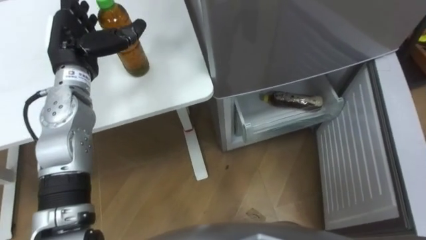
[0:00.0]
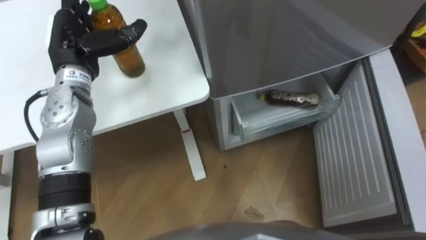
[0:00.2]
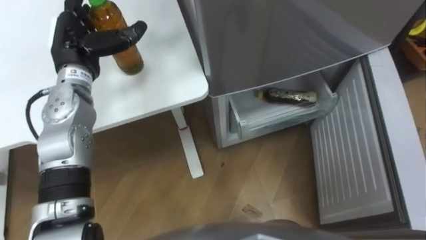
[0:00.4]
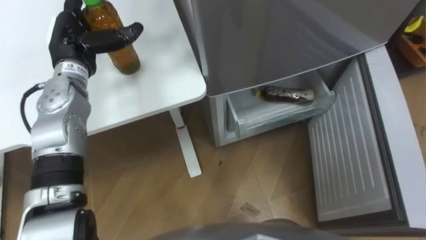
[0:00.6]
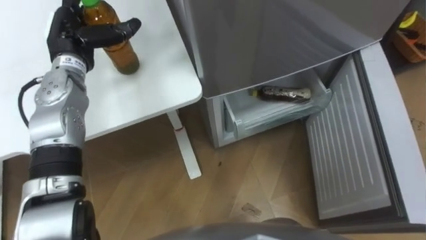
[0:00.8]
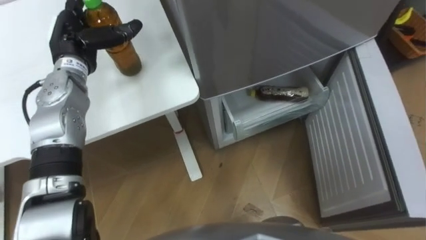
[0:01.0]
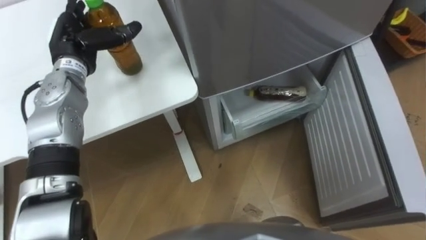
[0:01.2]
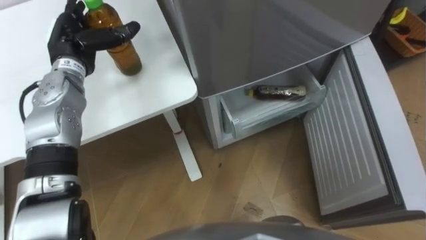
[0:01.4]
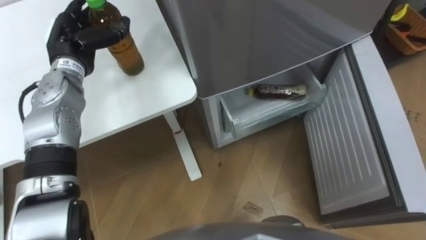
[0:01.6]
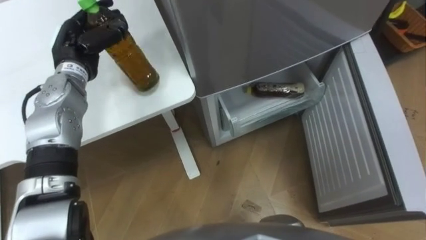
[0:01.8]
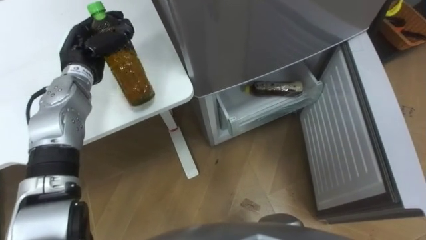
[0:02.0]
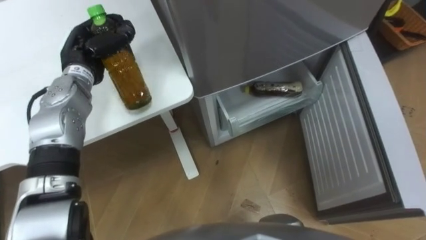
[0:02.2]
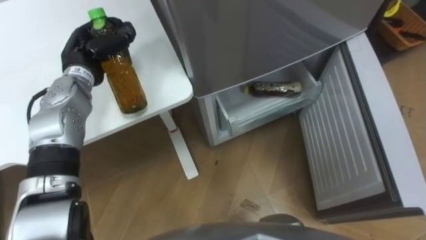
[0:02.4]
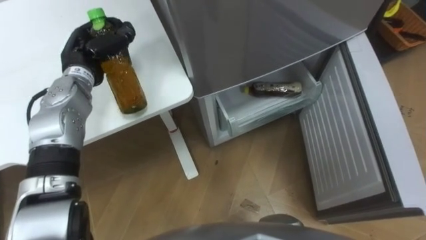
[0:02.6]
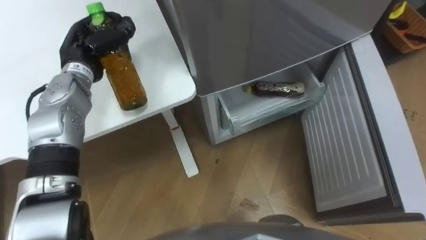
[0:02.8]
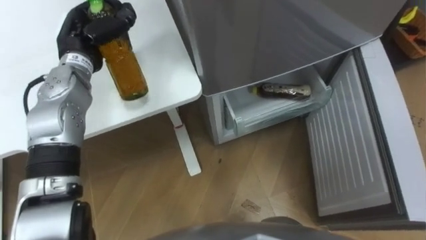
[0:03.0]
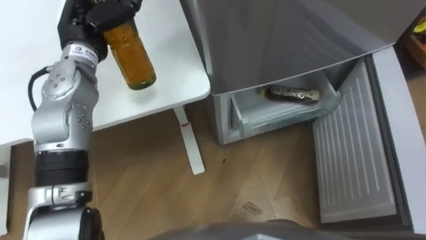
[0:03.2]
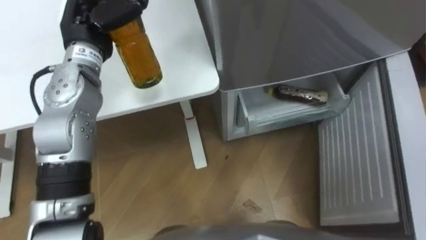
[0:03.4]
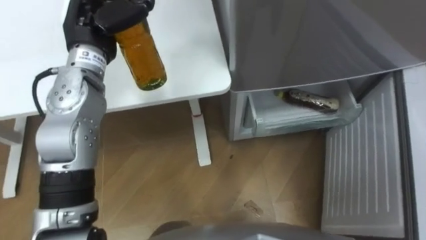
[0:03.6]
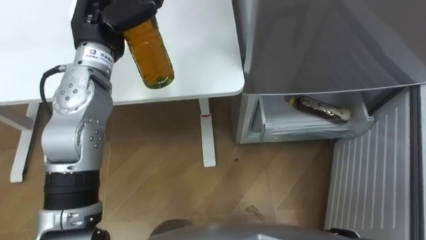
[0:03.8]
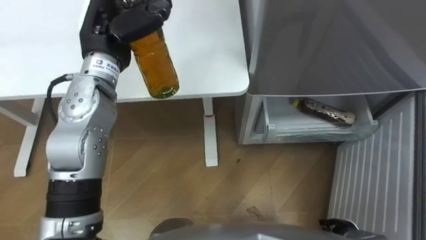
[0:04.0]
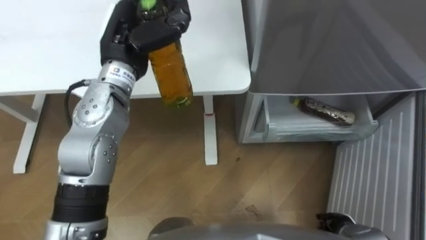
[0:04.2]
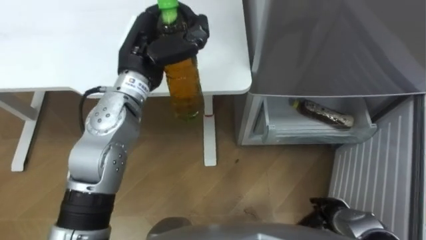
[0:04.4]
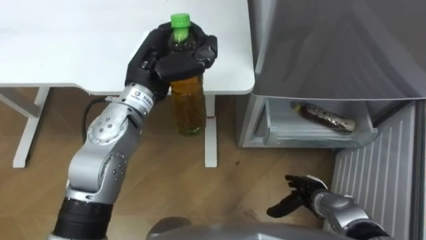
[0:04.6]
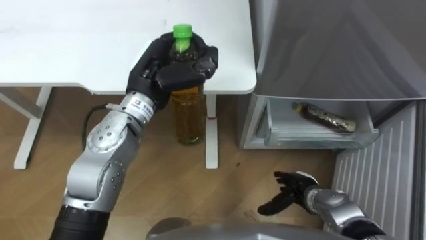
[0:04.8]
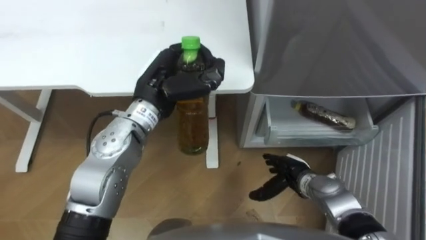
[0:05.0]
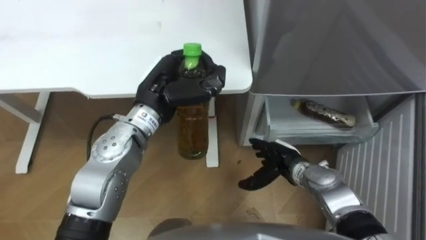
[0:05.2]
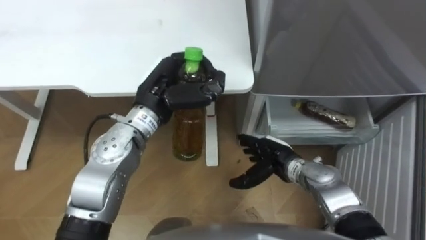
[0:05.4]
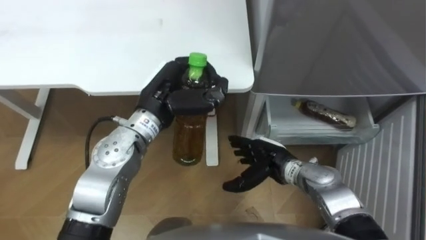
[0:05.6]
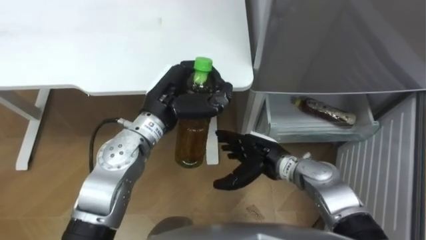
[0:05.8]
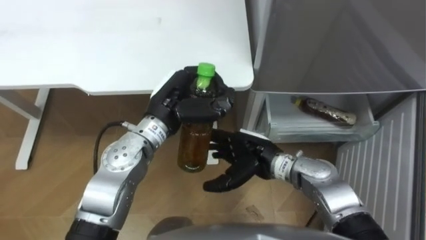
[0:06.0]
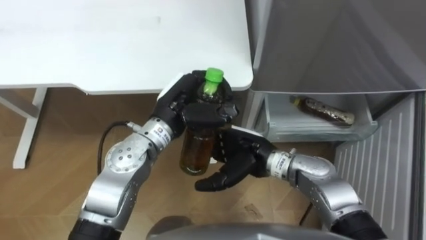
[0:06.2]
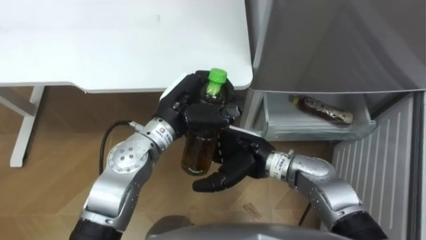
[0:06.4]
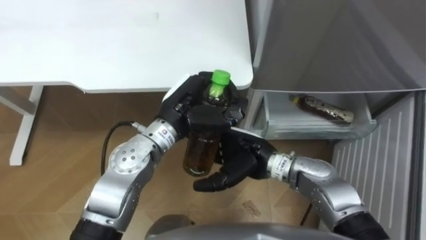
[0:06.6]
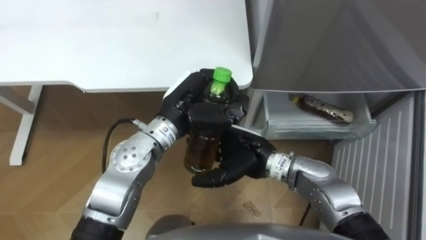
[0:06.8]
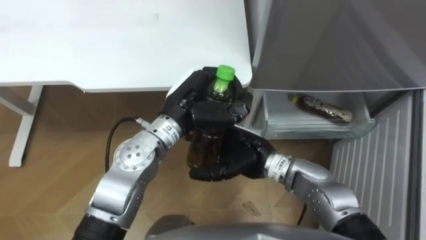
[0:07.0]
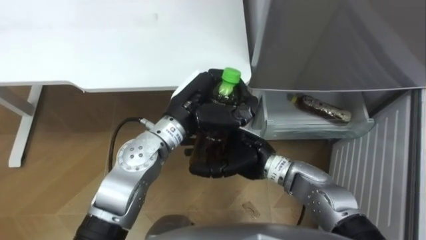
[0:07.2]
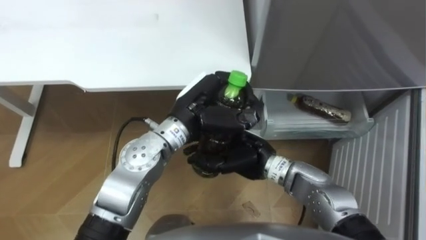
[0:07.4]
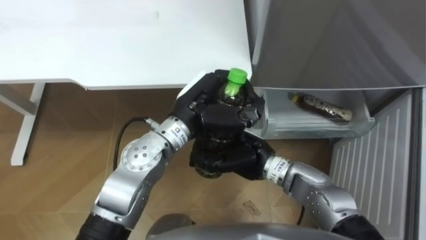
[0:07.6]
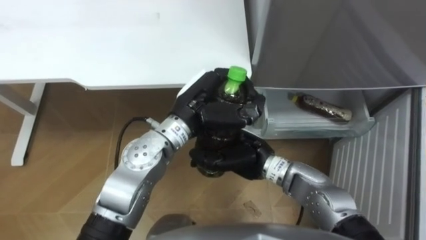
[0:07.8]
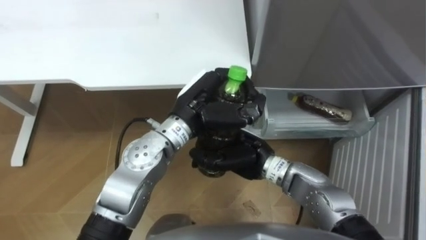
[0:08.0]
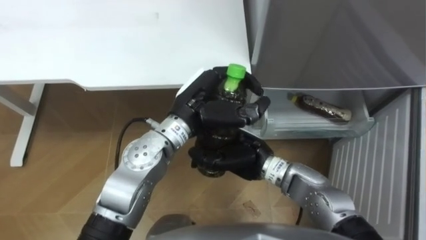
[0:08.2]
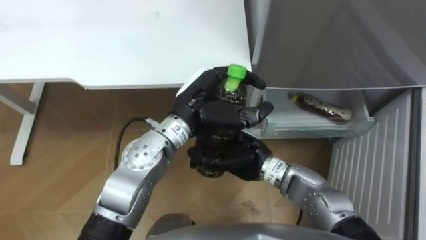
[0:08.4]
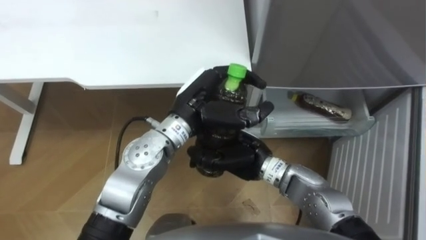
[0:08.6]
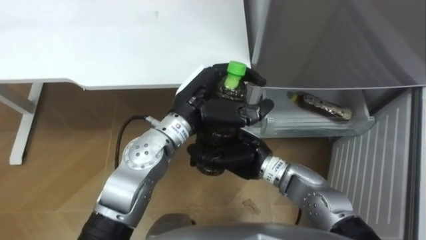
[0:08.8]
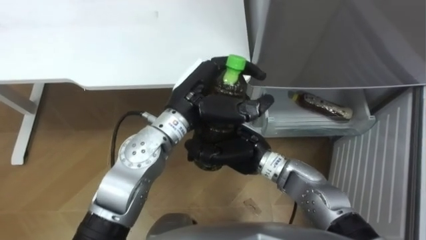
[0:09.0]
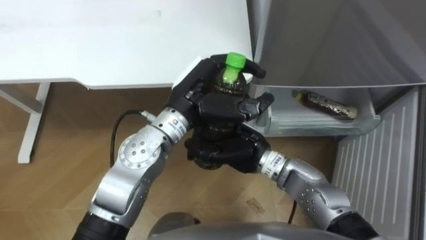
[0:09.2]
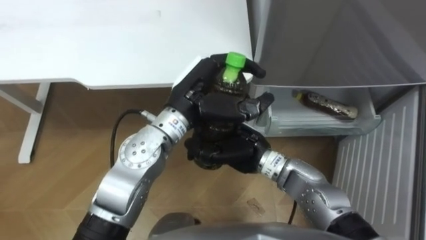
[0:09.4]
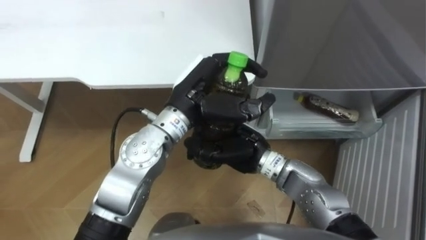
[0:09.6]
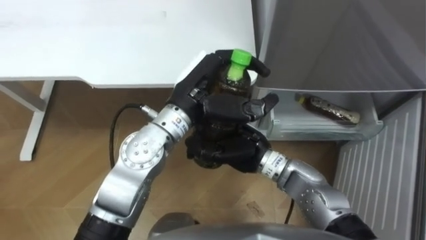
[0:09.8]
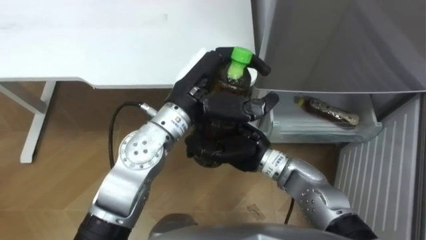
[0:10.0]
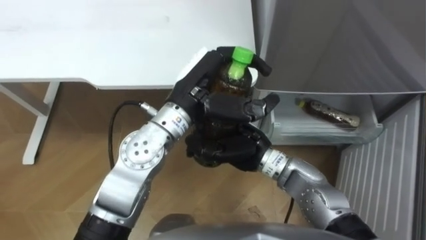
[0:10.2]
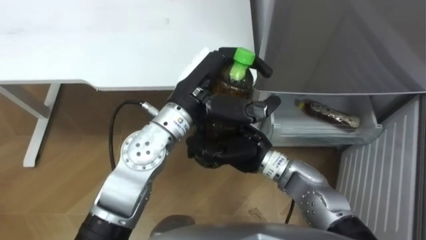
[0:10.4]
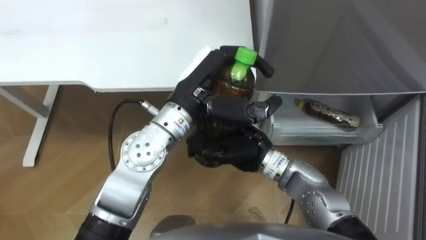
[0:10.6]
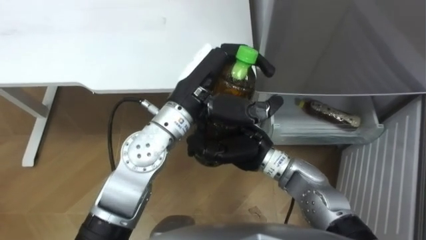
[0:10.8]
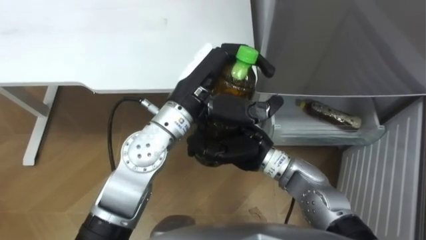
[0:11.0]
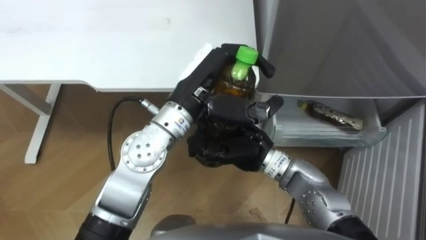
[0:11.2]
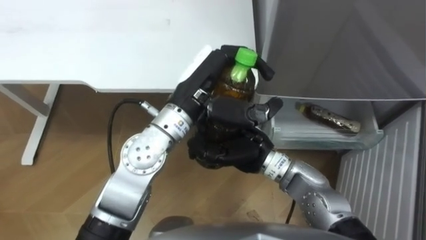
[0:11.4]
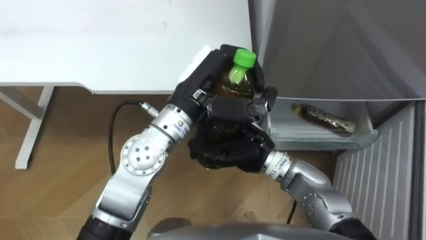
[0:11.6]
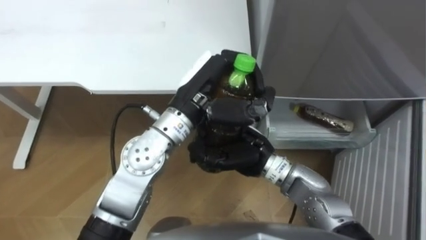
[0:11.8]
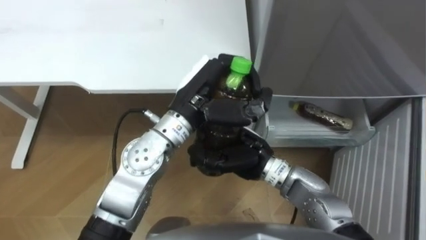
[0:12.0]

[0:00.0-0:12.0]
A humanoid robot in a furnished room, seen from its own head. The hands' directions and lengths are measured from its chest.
Task of the whole recording: Place the drink on the table on the bottom shelf of the refrigerator, then close the drawer and the refrigerator door.
0:01.6 to 0:03.0: The left hand closes its fingers.
0:03.0 to 0:04.4: The left hand is displaced to the right by roughly 10 cm.
0:04.4 to 0:06.0: The left hand shifts approximately 10 cm downward and backward. The right hand moves to the left, upward and forward, approximately 25 cm.
0:06.0 to 0:07.6: The left hand moves some 5 cm. The right hand closes.
0:07.6 to 0:09.0: The hands stay close to where they were, moving slightly.

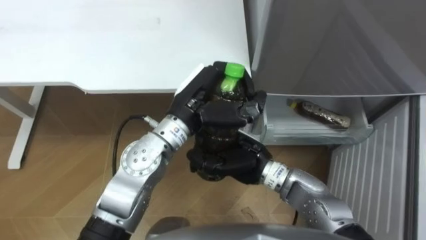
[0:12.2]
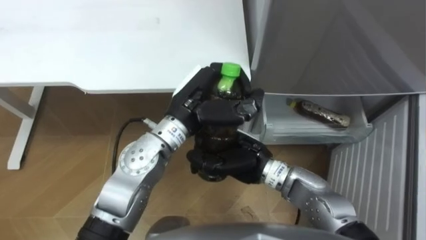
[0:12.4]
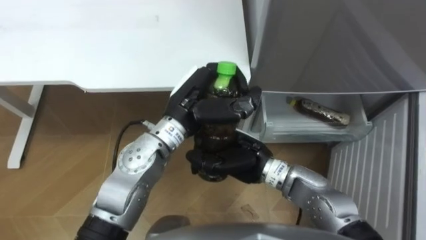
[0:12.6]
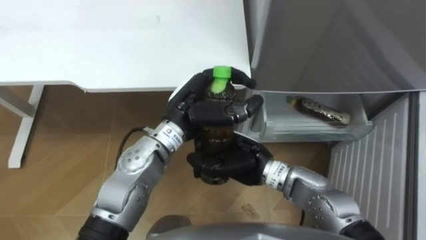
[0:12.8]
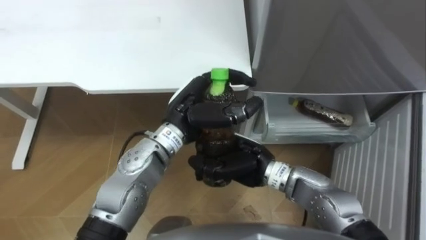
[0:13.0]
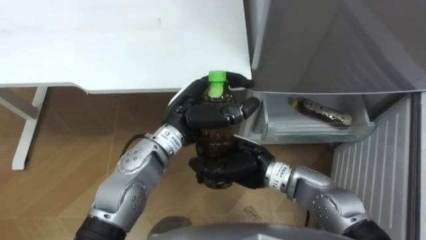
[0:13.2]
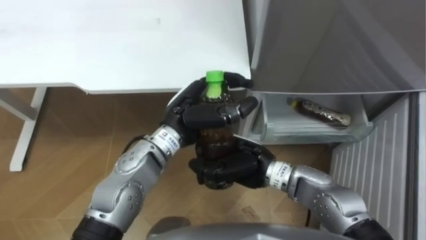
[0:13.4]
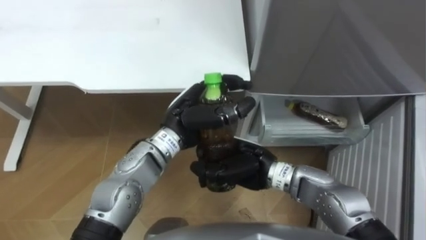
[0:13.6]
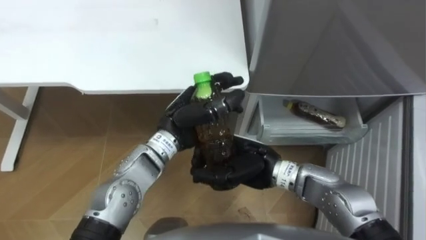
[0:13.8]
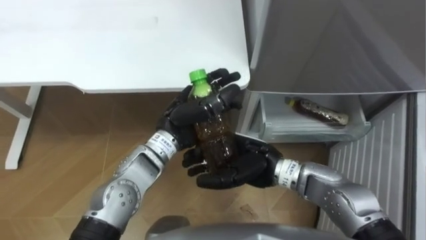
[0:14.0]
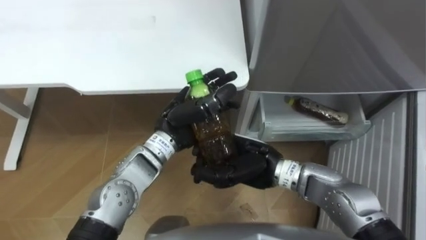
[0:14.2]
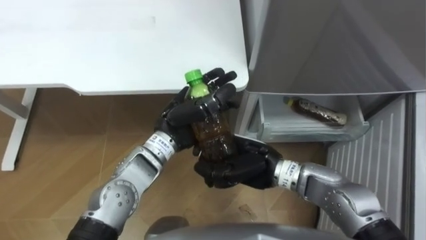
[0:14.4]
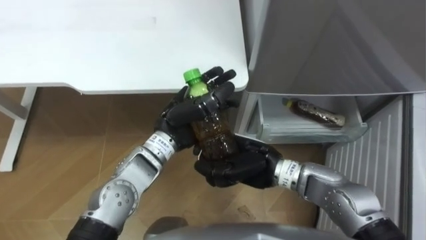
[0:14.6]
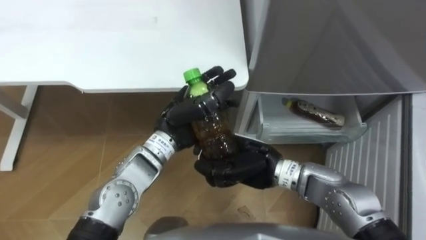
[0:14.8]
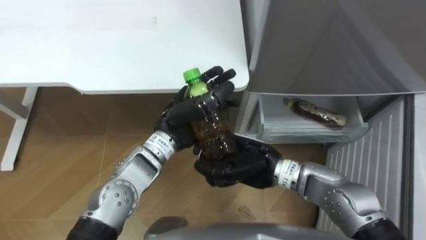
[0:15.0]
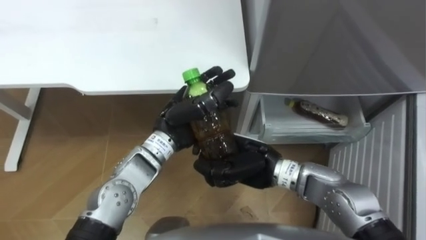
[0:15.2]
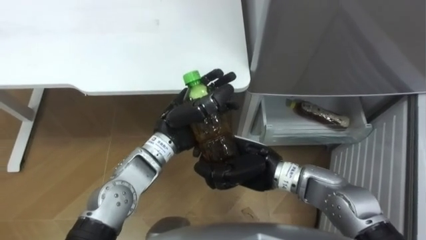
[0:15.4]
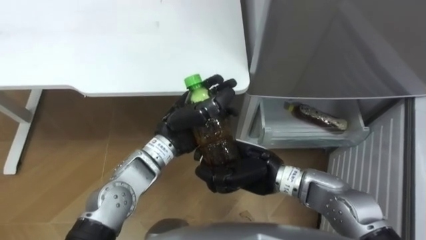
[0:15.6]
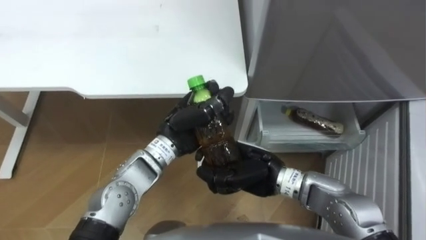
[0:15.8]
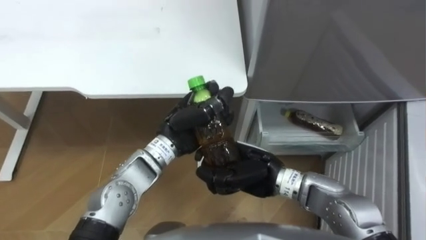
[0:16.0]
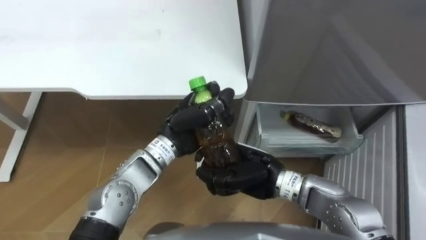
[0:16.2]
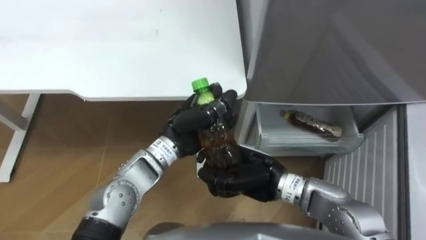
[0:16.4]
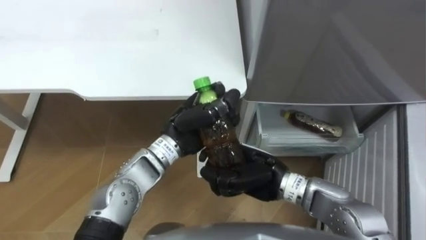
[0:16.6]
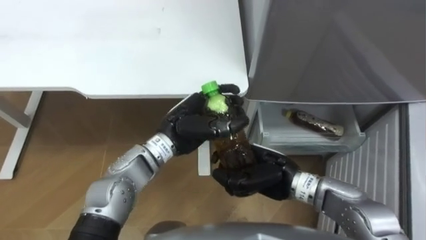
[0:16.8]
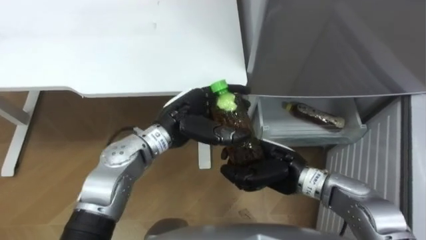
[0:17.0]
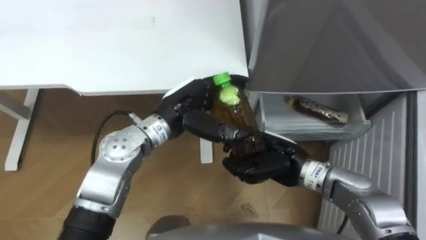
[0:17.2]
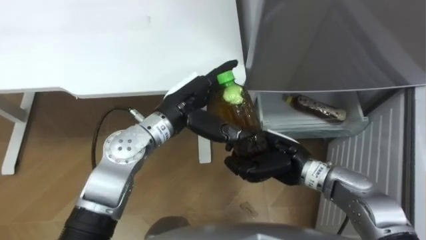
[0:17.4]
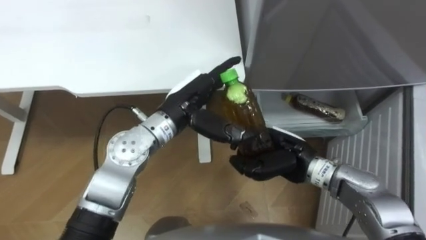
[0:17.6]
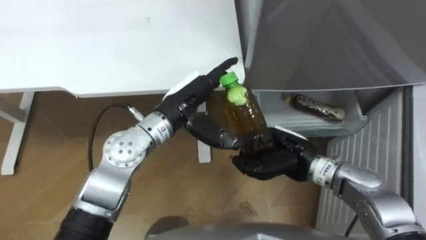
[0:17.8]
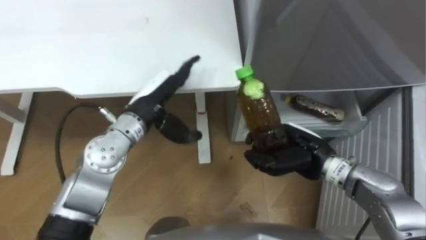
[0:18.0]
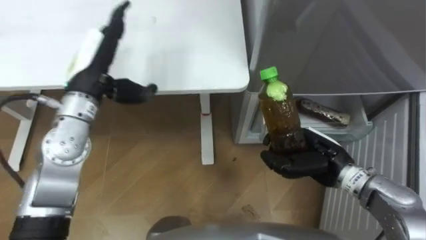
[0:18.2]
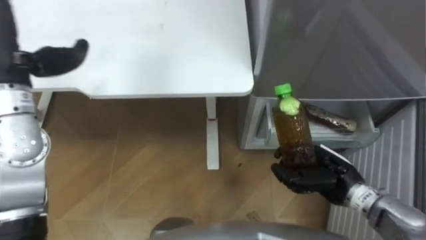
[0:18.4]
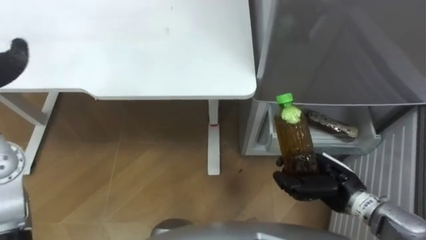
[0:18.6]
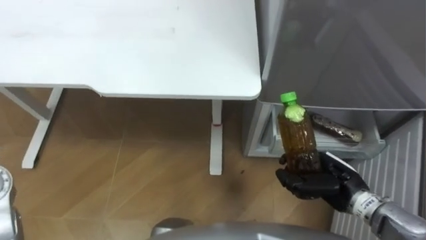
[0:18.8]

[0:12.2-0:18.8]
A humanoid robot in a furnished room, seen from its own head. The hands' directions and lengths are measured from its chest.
Task of the whole recording: Place the drink on the table on the bottom shelf of the refrigerator, then close the drawer and the refrigerator door.
0:12.2 to 0:13.8: The left hand moves downward, about 5 cm.
0:15.4 to 0:17.2: The right hand goes approximately 5 cm to the right. Meanwhile the left hand opens.
0:17.2 to 0:18.8: The right hand goes some 10 cm to the right.
